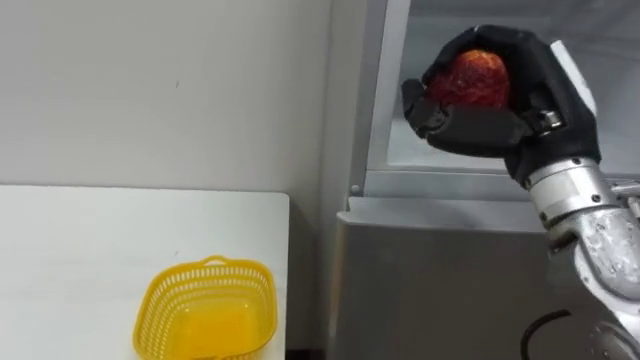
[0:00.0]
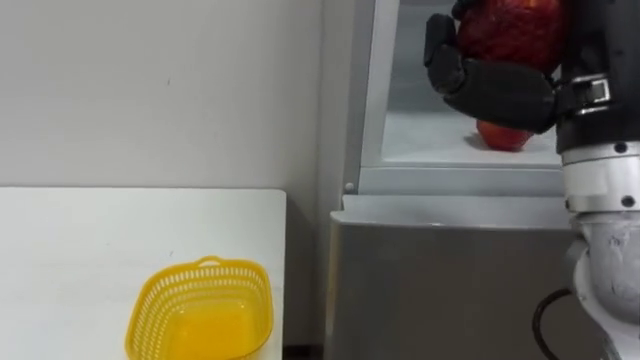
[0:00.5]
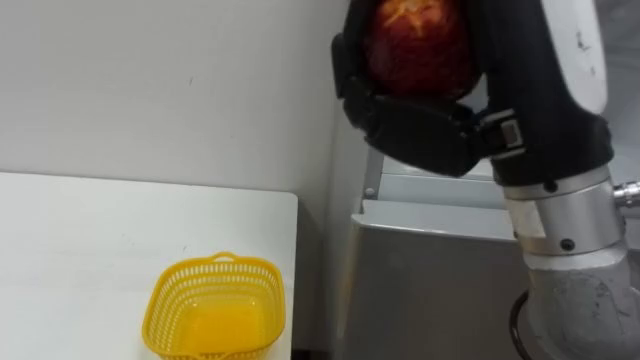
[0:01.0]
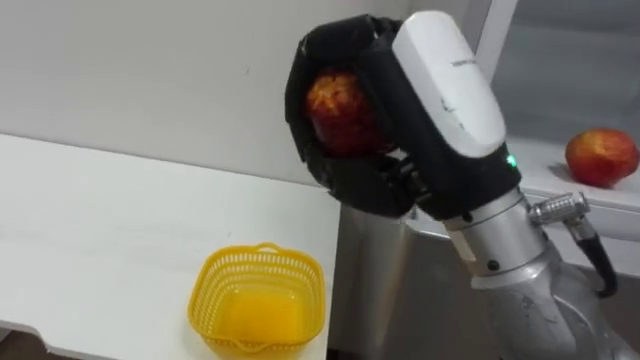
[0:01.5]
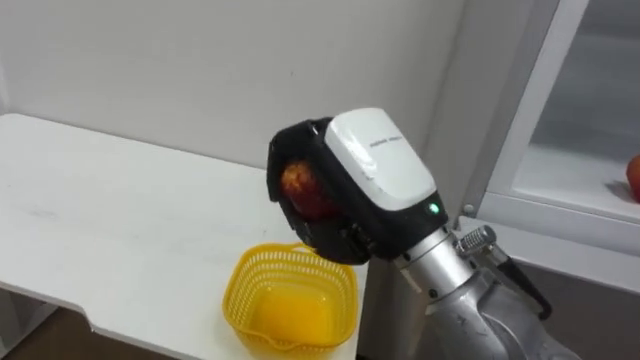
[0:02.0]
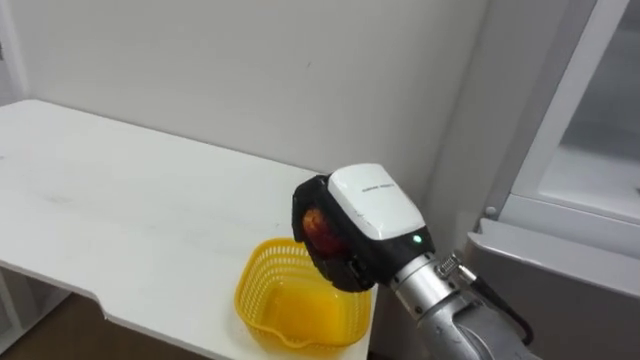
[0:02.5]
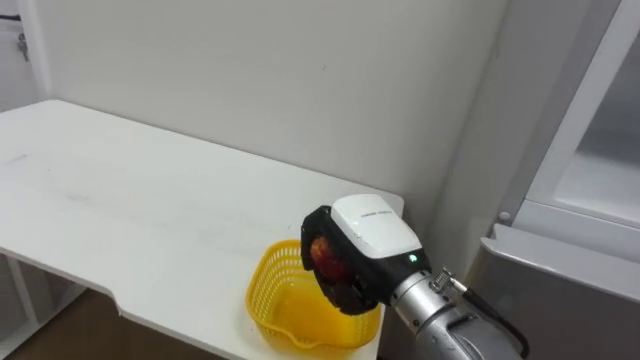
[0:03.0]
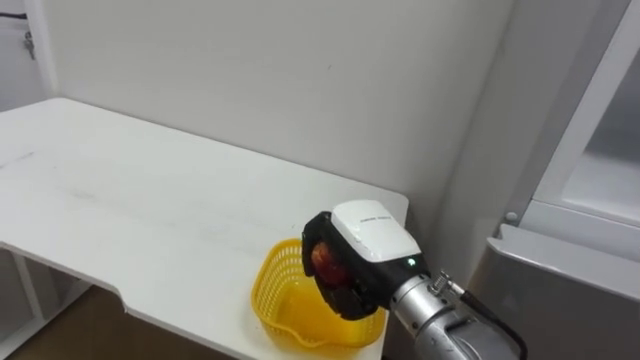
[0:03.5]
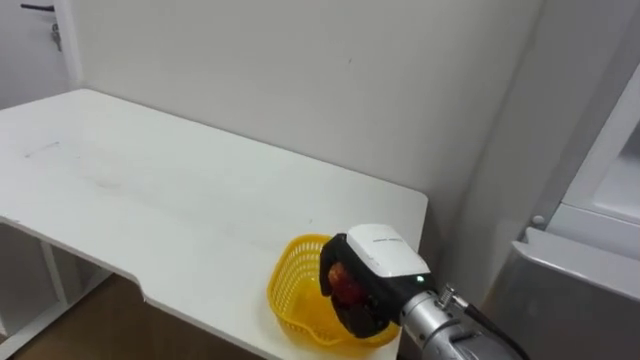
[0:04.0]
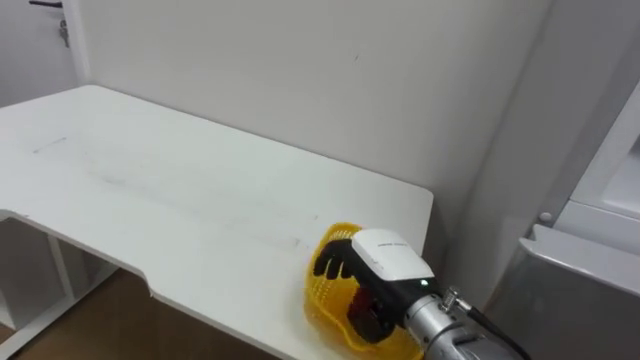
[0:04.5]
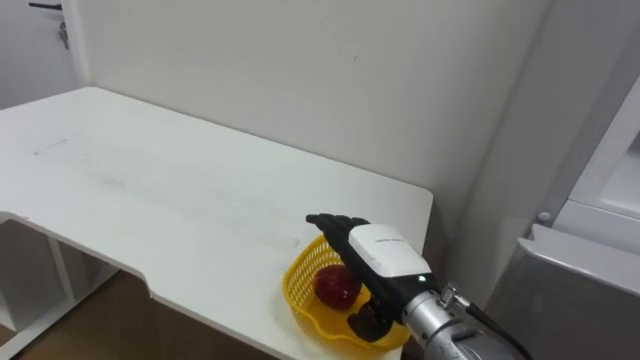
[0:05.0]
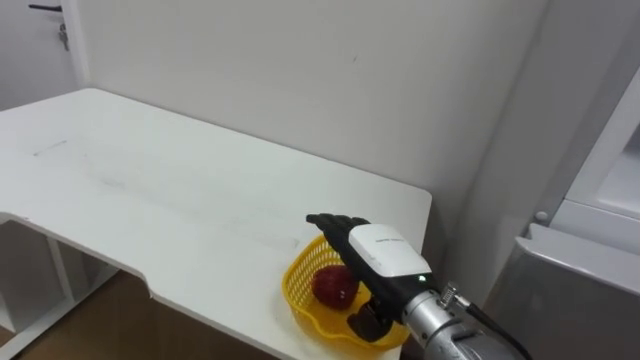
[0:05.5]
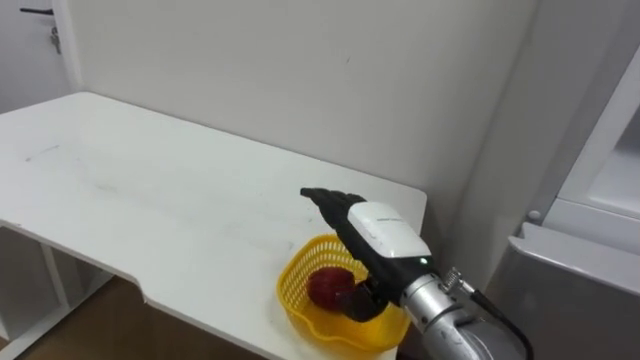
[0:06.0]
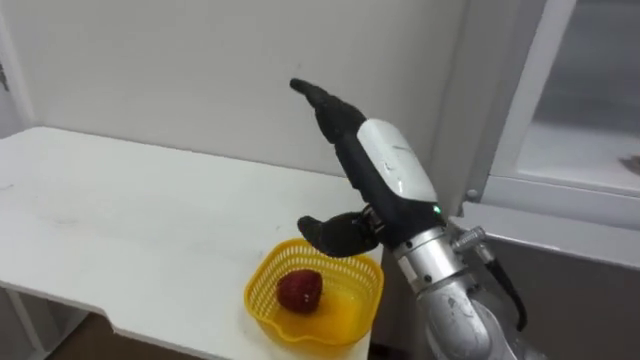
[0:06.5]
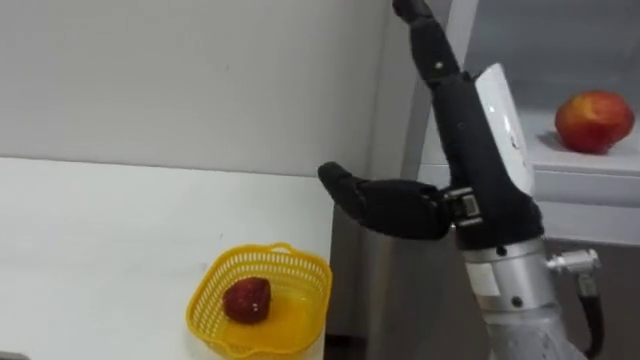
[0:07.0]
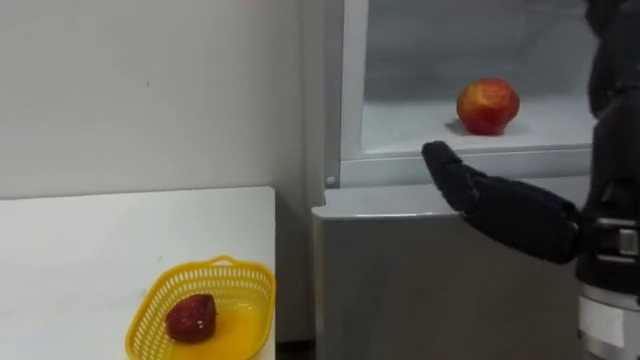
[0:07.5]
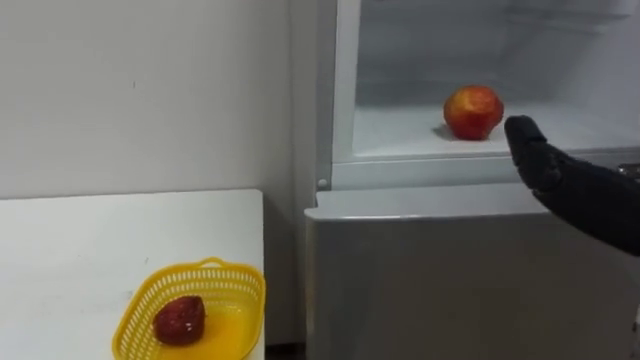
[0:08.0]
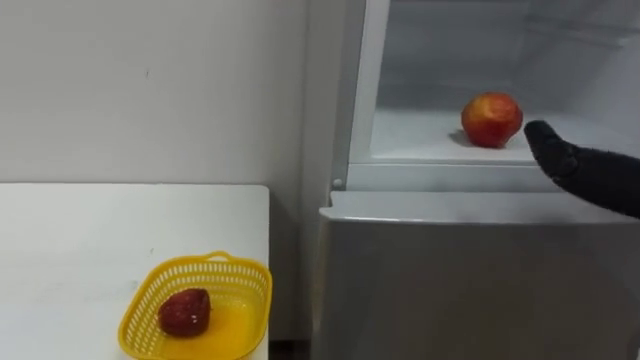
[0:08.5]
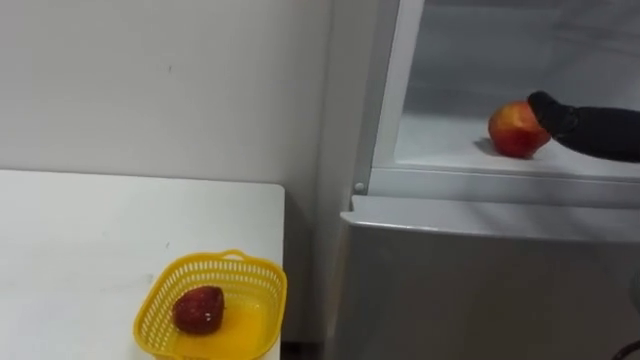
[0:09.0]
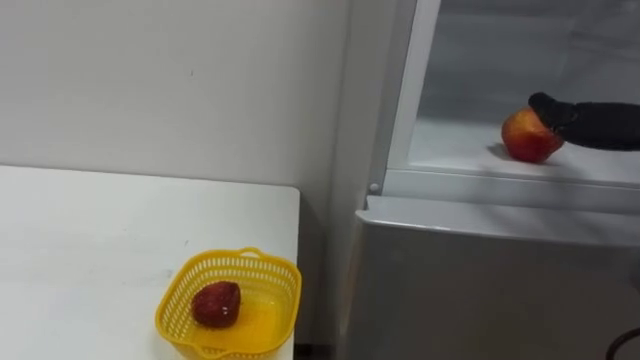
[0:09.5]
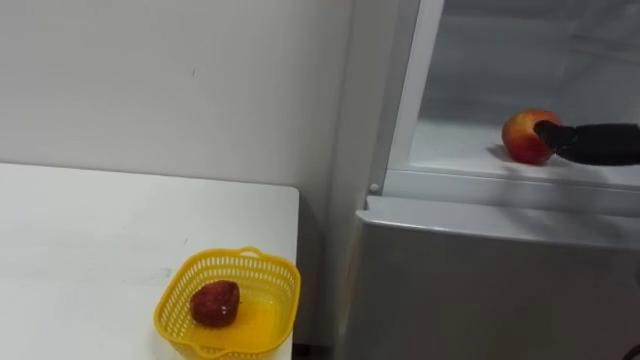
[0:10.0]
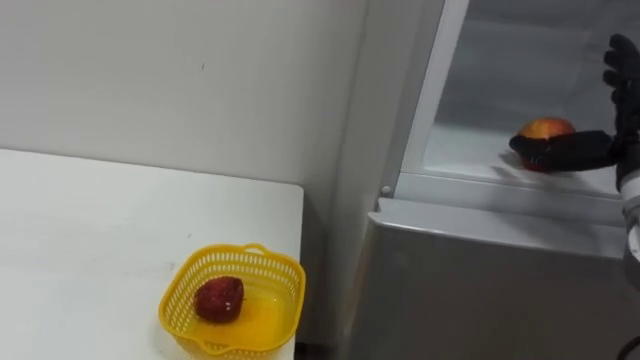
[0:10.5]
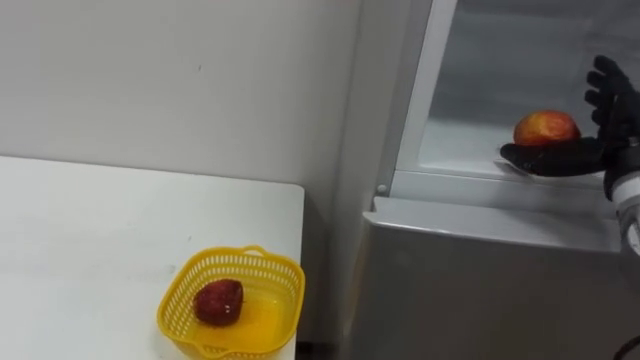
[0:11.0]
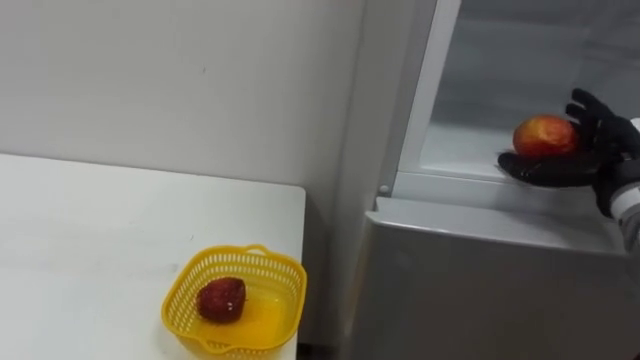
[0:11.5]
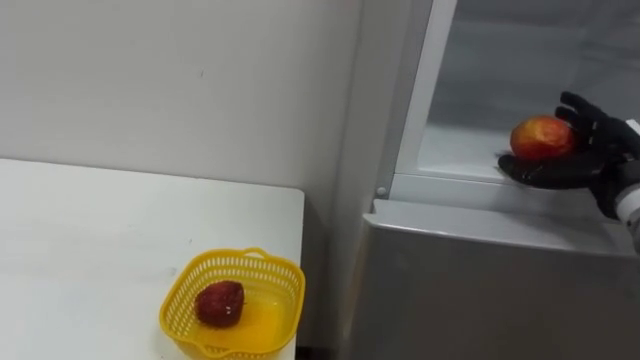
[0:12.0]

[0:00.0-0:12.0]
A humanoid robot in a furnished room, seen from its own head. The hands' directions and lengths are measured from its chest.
Task of the whole recording: Open the refrigerator door, take out the apple and the pomegranate, place them in the fruit basket on the left, and close the refrigerator door.
0:00.0 to 0:02.0: The right hand goes approximately 15 cm to the left and backward.
0:02.0 to 0:04.0: The right hand moves downward and forward, some 15 cm.
0:04.0 to 0:06.0: The right hand opens up.

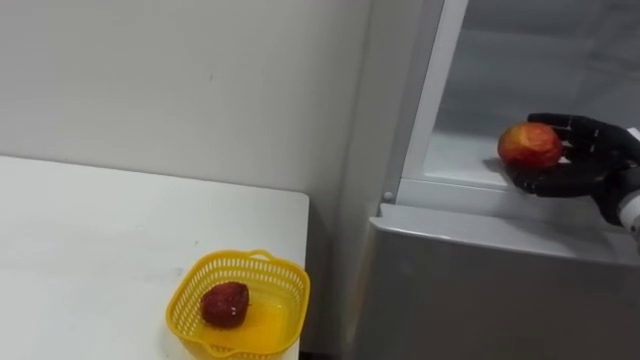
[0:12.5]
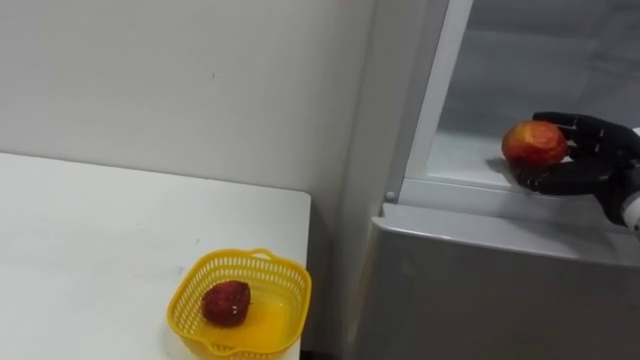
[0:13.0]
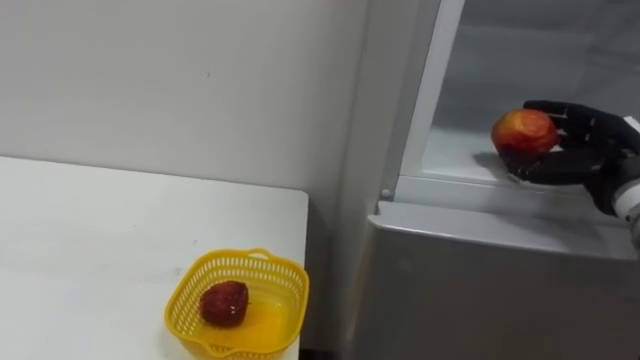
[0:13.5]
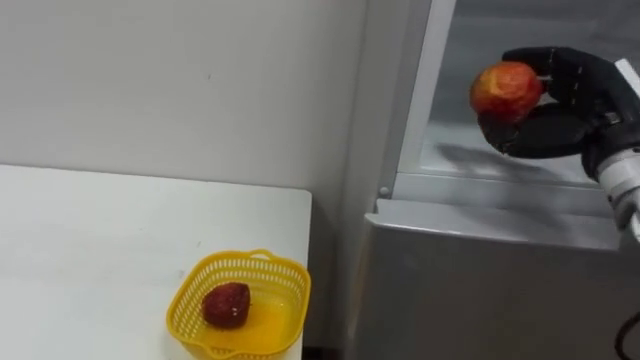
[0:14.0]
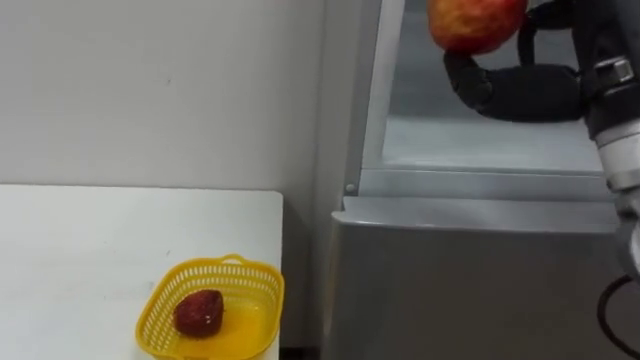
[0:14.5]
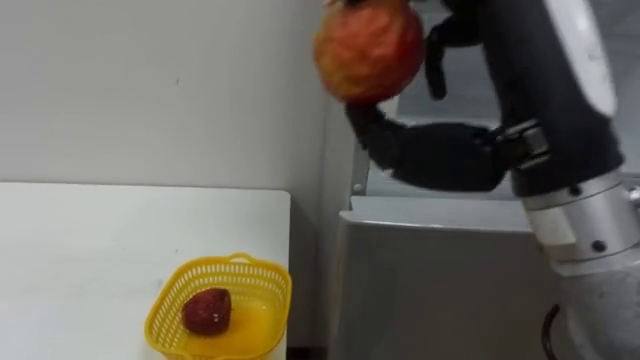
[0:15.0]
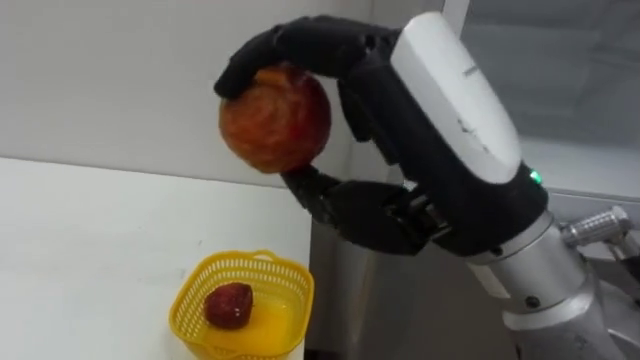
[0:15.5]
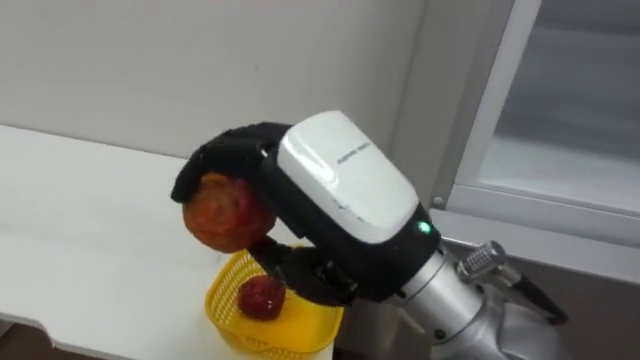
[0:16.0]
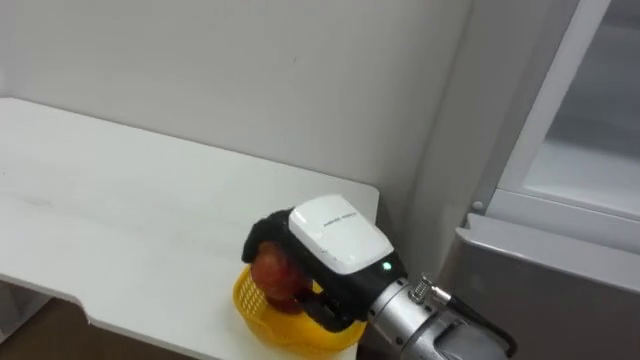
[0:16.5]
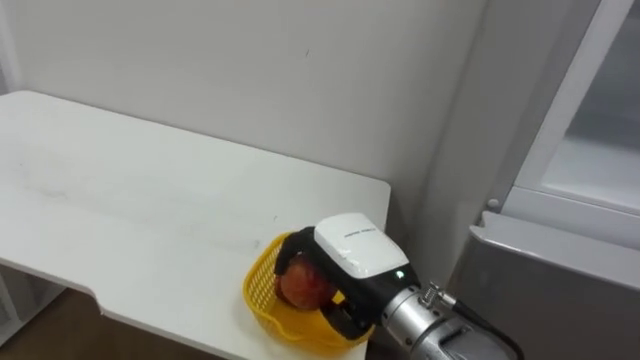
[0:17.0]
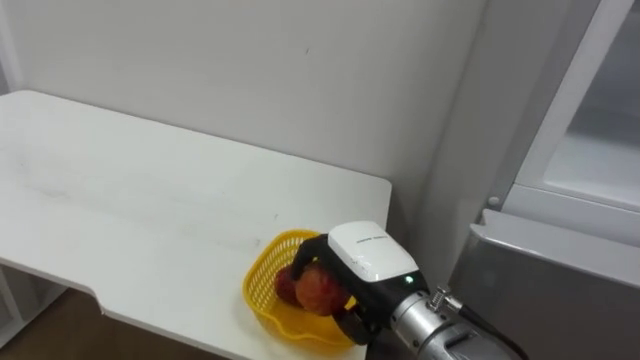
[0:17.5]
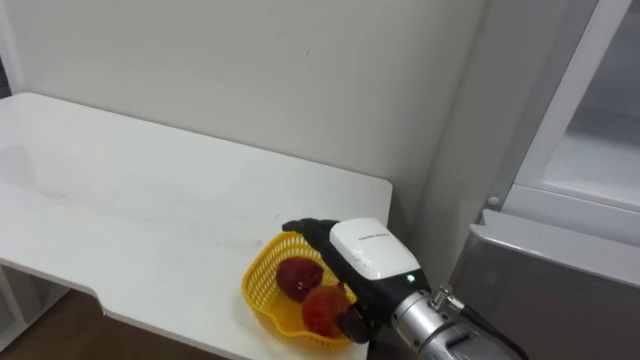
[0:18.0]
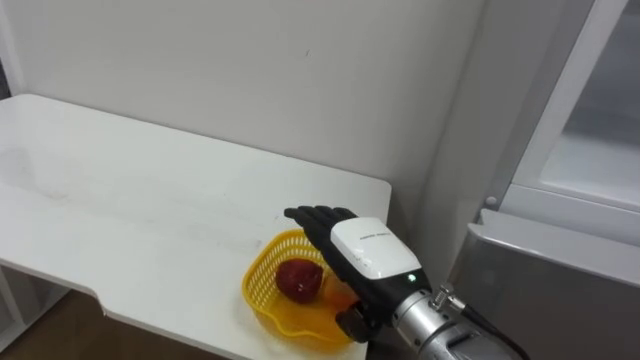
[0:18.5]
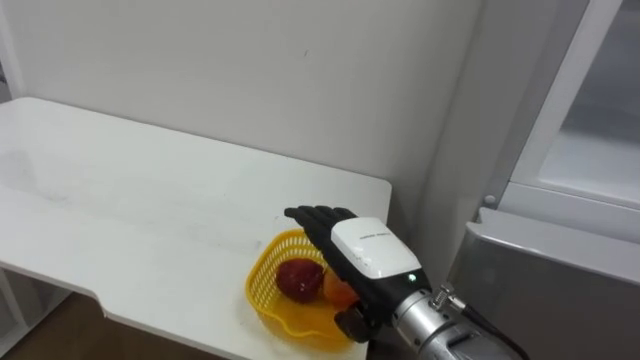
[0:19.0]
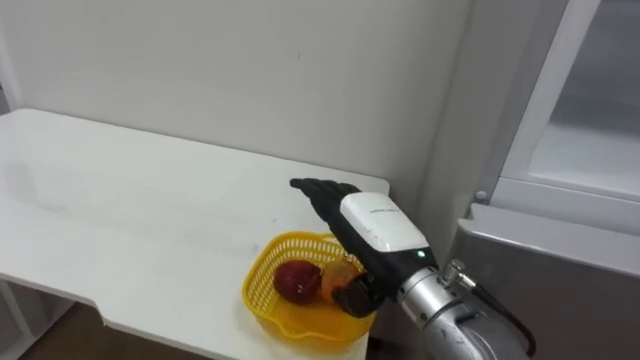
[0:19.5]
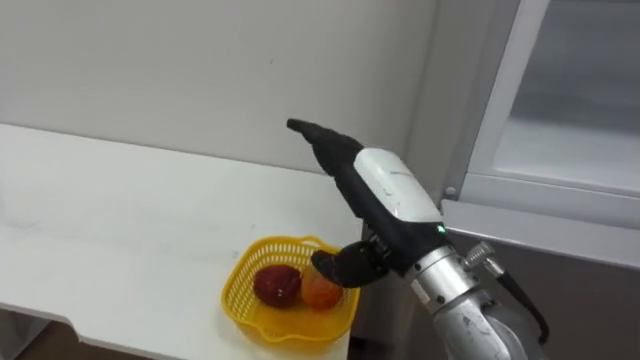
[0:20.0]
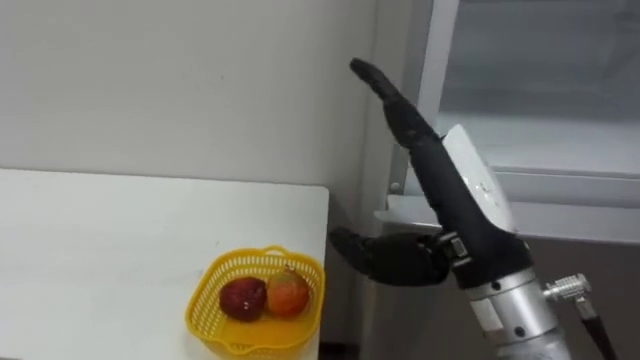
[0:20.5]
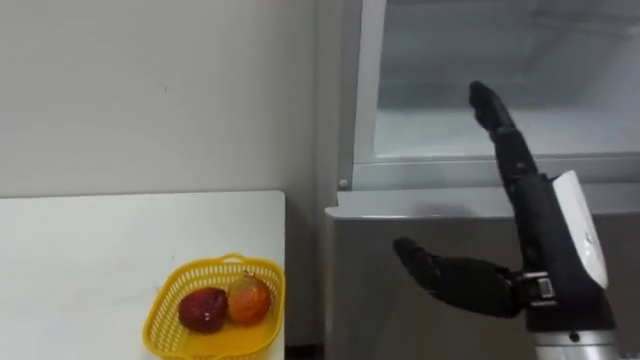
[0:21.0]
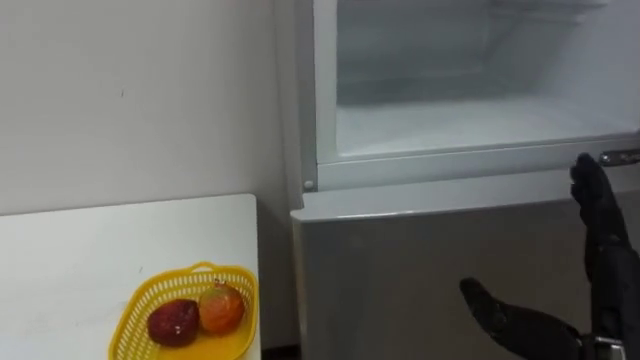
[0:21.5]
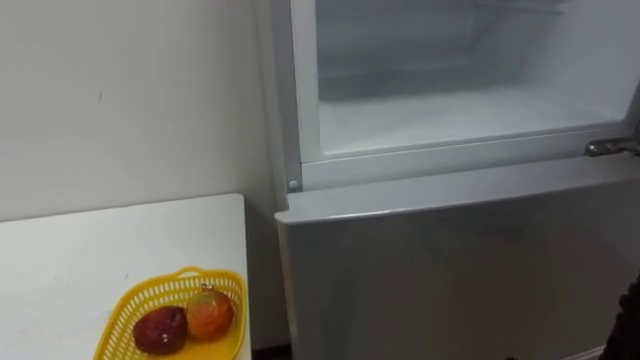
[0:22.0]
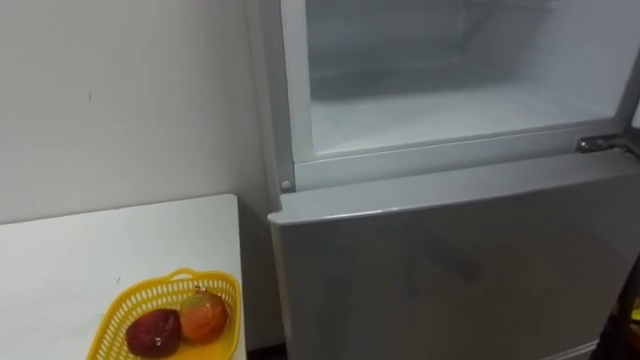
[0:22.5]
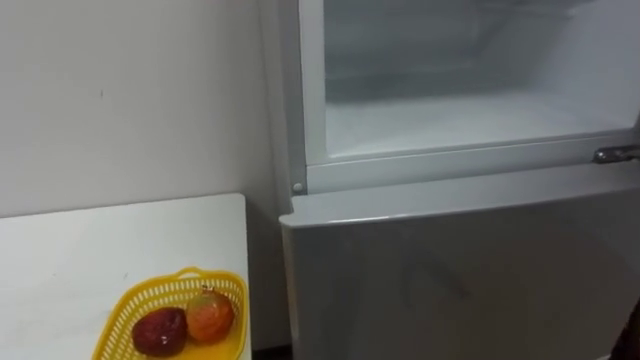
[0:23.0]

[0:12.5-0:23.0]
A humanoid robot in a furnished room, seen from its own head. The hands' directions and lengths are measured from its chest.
Task of the whole recording: Open the refrigerator door, take out the apple and the pomegranate, place them in the fruit basket on the left, and close the refrigerator door.
0:12.5 to 0:14.5: The right hand goes about 20 cm upward, to the left and backward.
0:14.5 to 0:16.5: The right hand heads to the left and downward, covering about 25 cm.
0:16.5 to 0:19.0: The right hand goes roughly 5 cm downward, and opens up.
0:19.0 to 0:21.0: The right hand travels to the right, upward and backward by roughly 15 cm.
